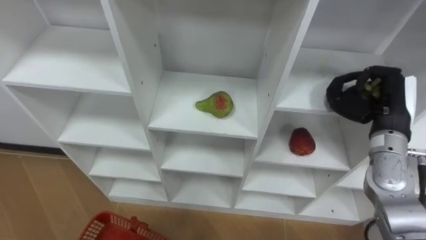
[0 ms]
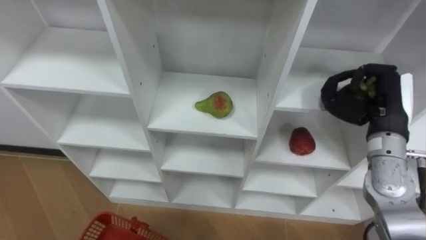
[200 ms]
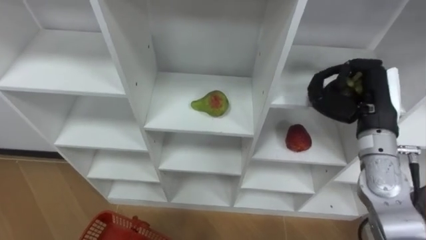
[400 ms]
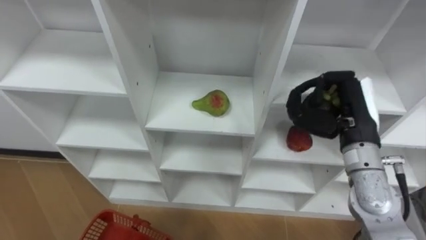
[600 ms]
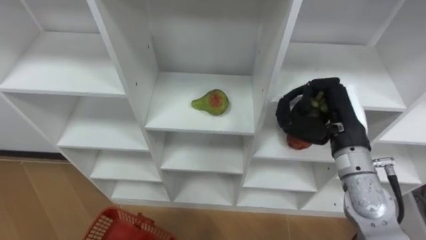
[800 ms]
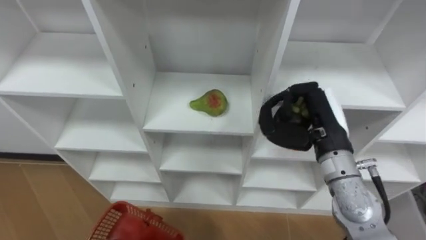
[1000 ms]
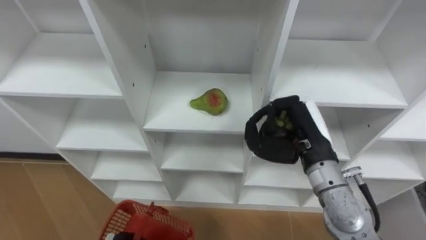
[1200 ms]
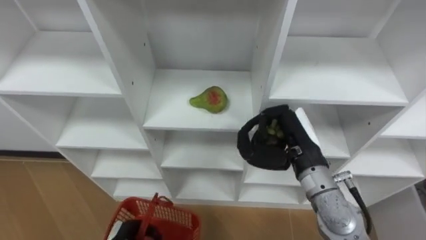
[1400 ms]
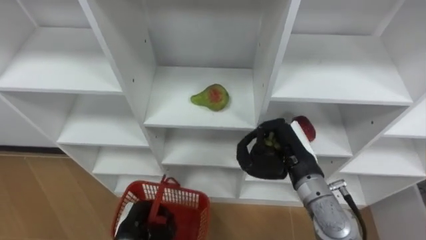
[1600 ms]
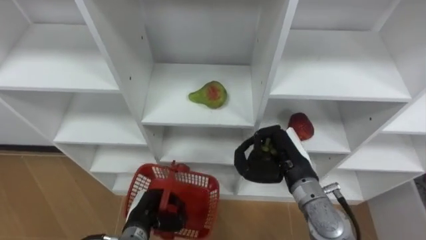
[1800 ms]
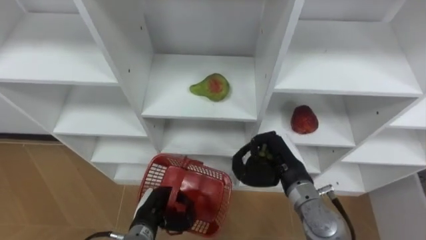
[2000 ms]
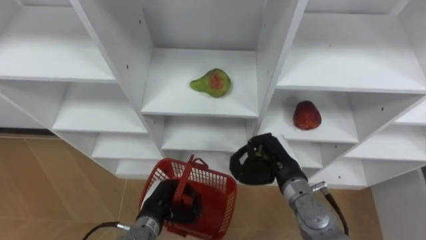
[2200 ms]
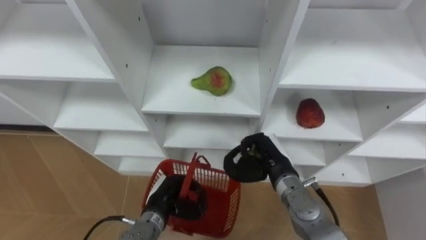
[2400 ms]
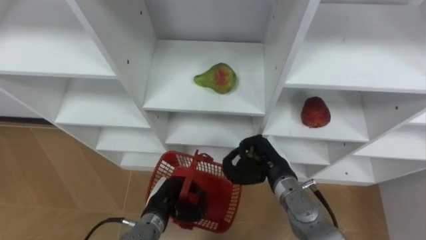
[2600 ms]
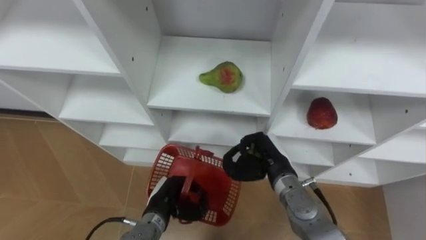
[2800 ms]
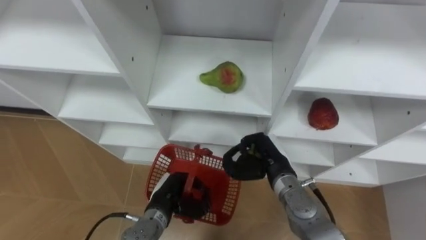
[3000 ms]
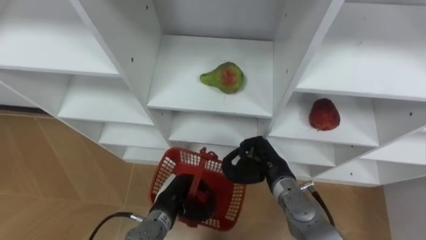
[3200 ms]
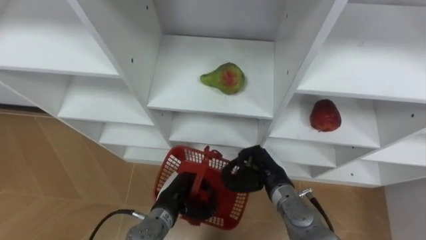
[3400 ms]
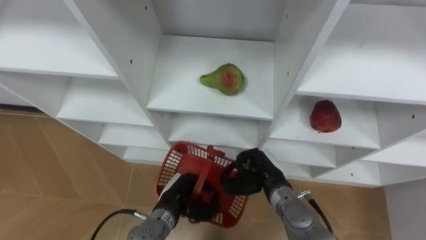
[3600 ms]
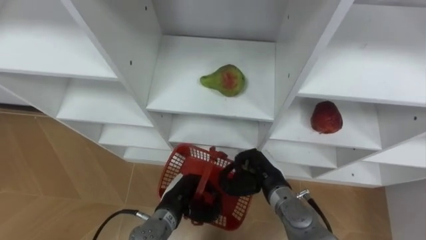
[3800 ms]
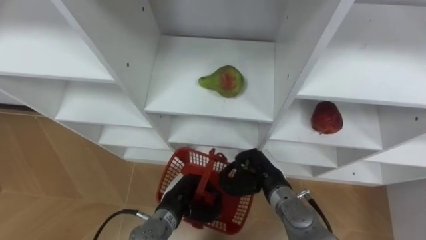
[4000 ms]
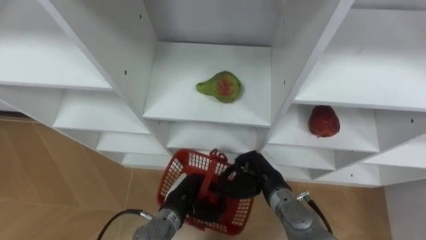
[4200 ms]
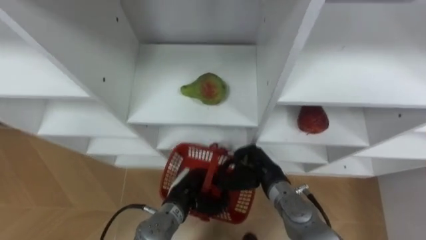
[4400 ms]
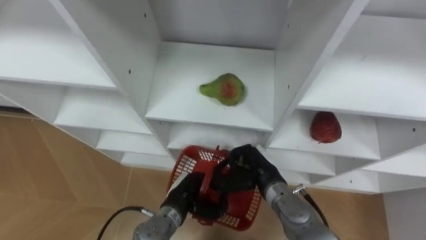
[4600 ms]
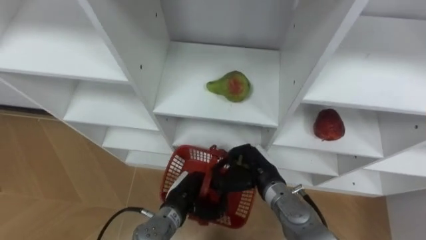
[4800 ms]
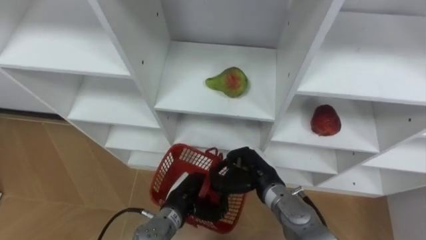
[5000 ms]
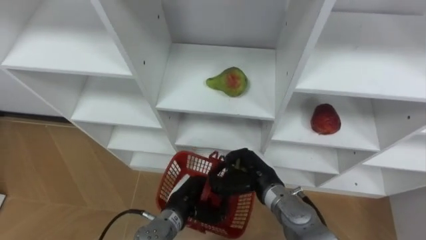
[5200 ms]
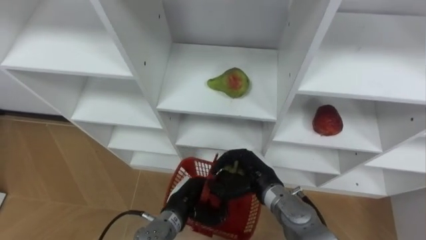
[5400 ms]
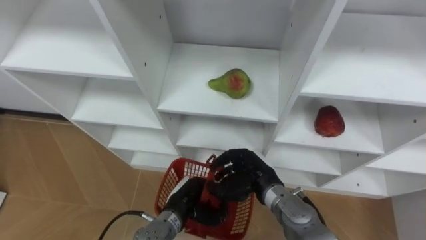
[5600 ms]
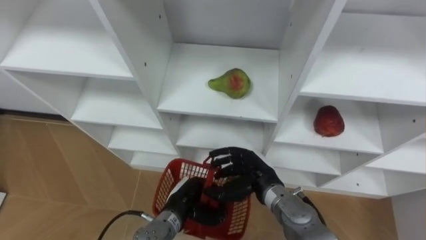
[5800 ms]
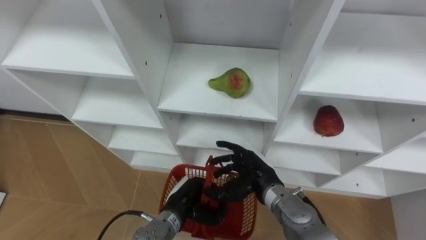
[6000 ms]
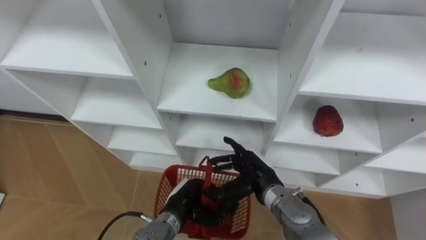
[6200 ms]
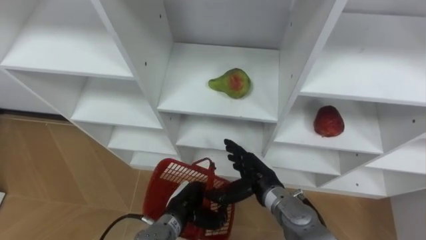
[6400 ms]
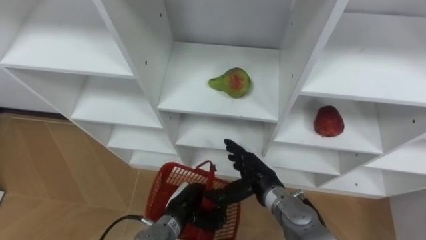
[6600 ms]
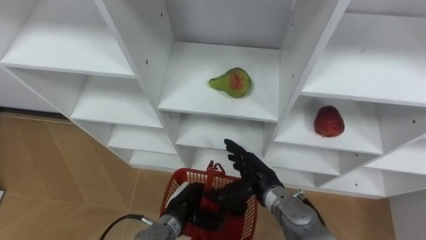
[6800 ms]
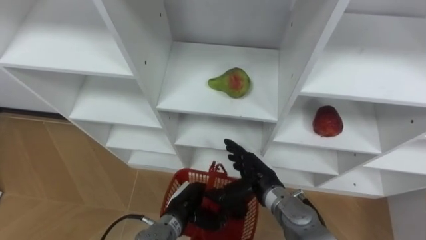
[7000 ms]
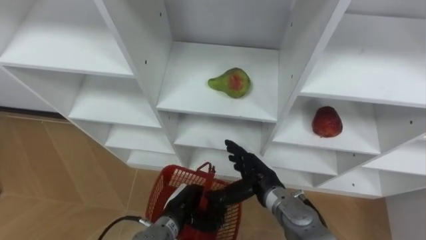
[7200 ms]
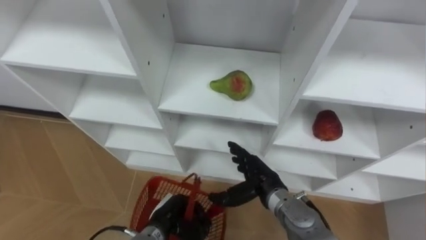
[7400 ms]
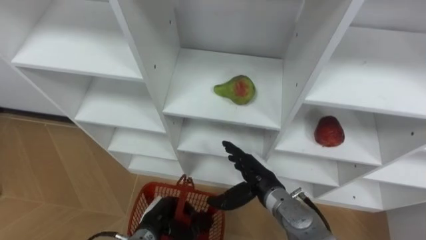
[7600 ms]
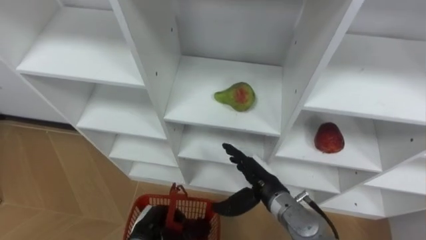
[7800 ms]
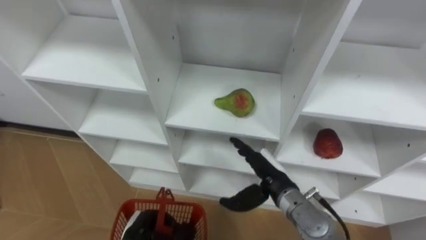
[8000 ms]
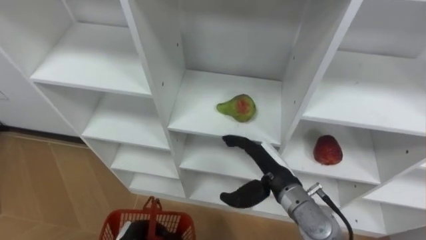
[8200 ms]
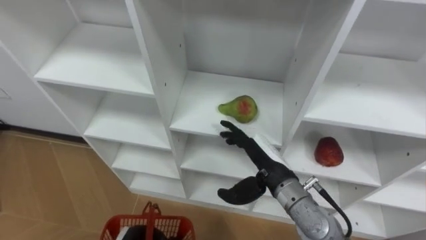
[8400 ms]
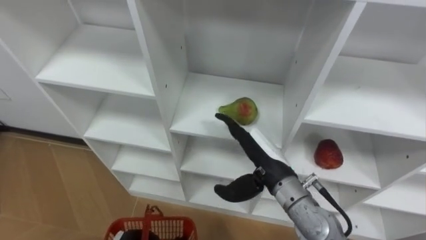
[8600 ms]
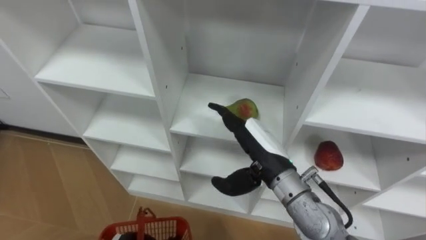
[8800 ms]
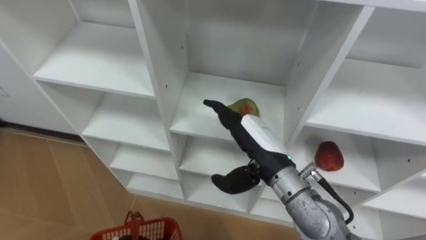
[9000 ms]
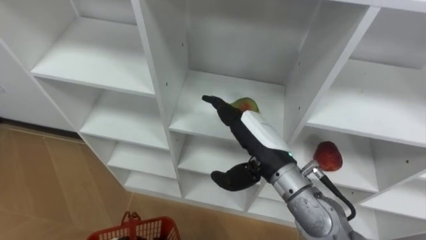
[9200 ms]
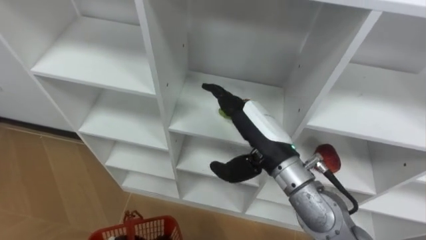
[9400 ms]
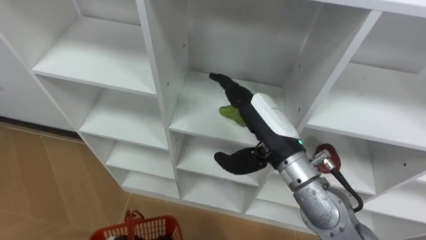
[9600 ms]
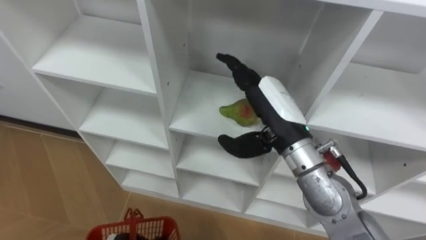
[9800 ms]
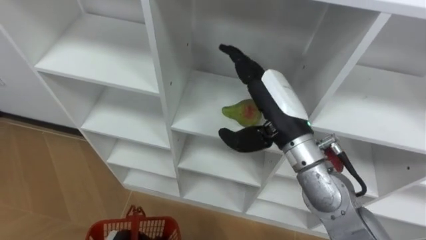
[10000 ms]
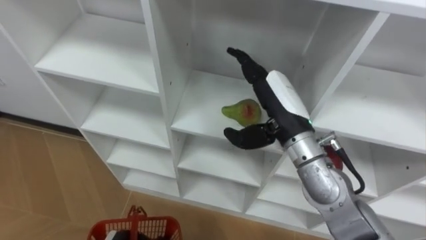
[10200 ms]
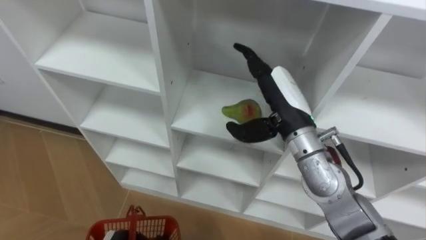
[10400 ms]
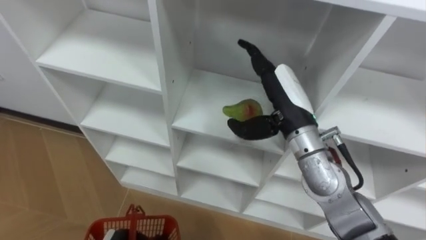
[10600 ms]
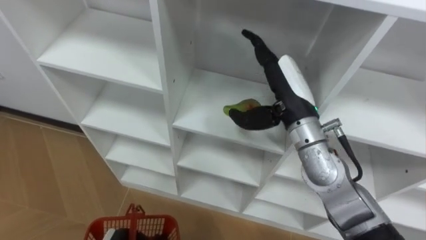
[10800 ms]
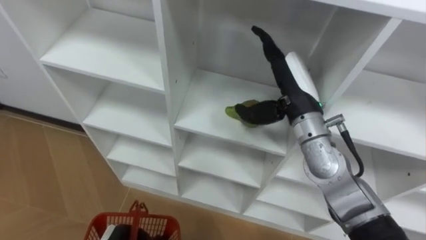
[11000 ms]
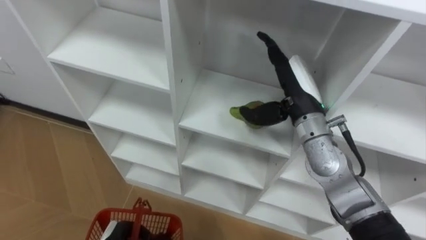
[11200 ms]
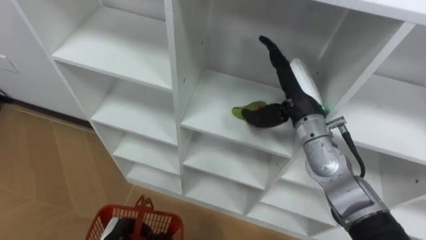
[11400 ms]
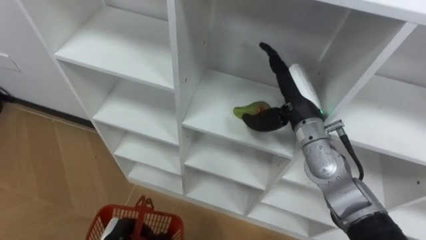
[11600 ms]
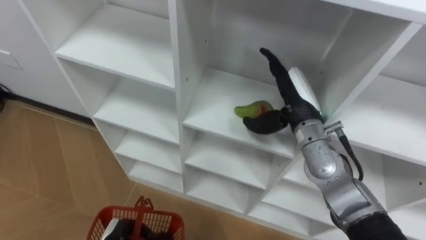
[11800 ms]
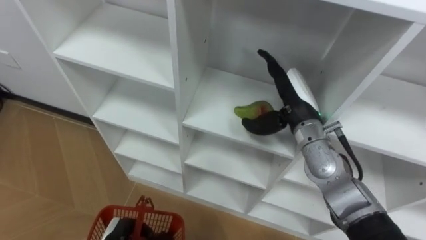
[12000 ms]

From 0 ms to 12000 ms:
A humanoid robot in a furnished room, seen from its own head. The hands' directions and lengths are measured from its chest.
Task of the whole recording: Hold the basket and collect the fruits from 3 different cells of the closet into it.
From 0 ms to 1600 ms: The right hand shifts approximately 15 cm to the left and downward.
From 1600 ms to 3000 ms: The left hand travels to the right and forward by approximately 10 cm; the right hand heads downward, covering some 5 cm.
From 4400 ms to 6000 ms: The right hand opens up.
From 6000 ms to 7600 ms: The left hand shifts approximately 5 cm to the left.
From 7600 ms to 9000 ms: The right hand heads upward, covering roughly 15 cm.
From 9000 ms to 10400 ms: The right hand heads forward, covering about 5 cm.
From 10400 ms to 12000 ms: The right hand shifts by roughly 5 cm.

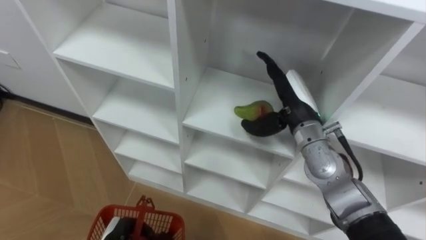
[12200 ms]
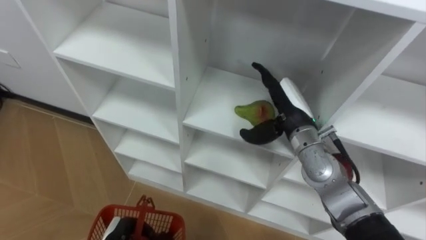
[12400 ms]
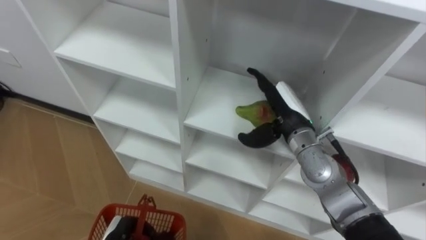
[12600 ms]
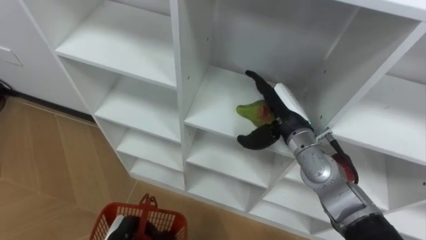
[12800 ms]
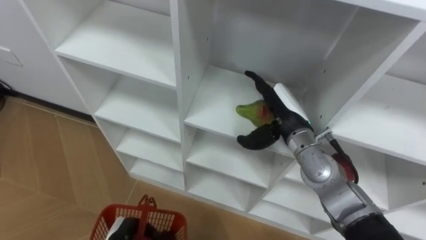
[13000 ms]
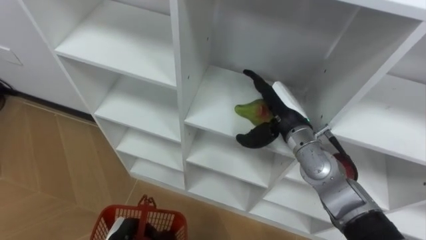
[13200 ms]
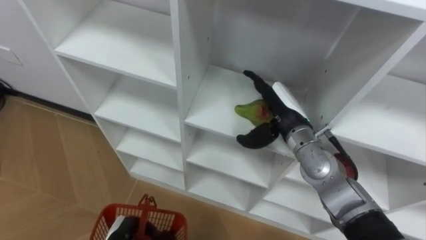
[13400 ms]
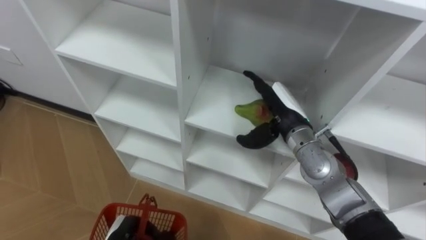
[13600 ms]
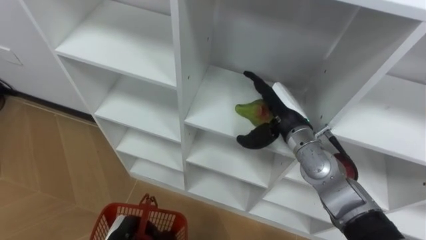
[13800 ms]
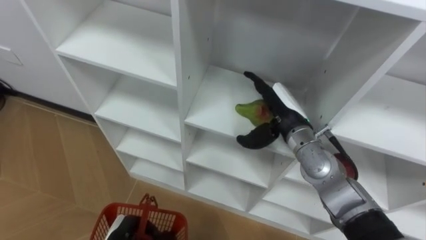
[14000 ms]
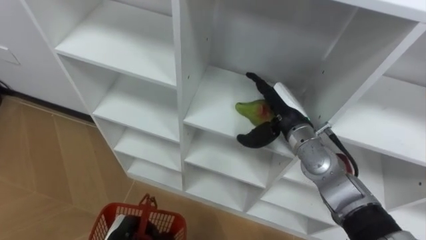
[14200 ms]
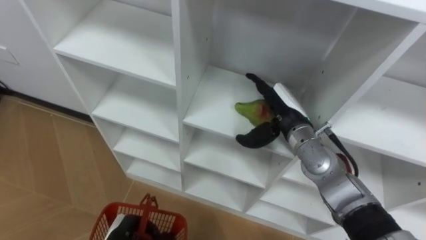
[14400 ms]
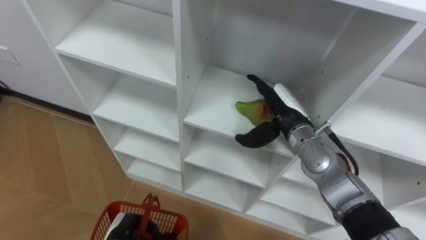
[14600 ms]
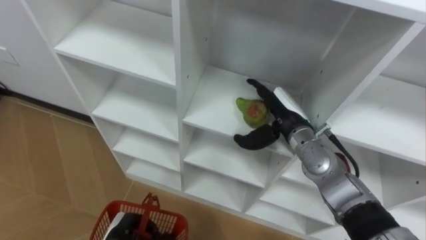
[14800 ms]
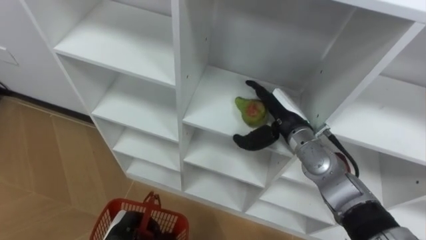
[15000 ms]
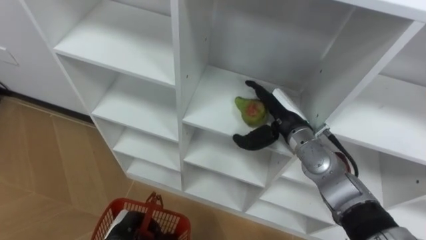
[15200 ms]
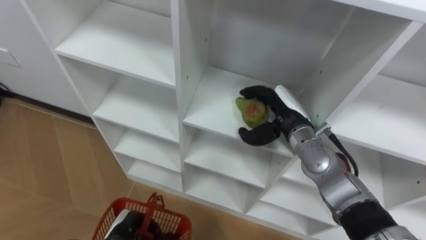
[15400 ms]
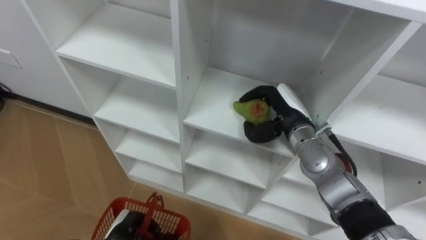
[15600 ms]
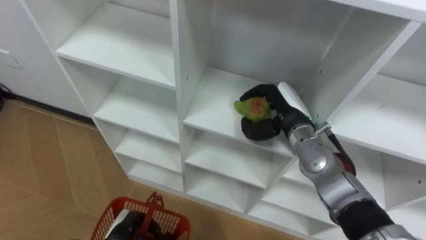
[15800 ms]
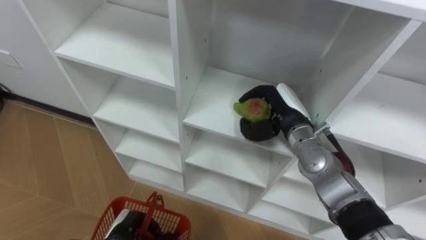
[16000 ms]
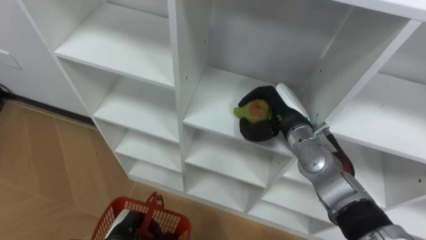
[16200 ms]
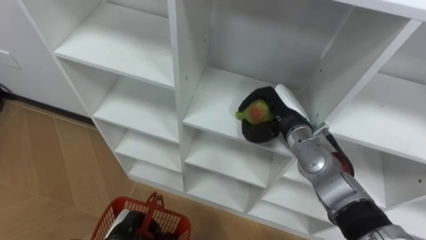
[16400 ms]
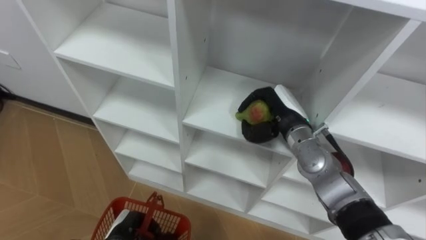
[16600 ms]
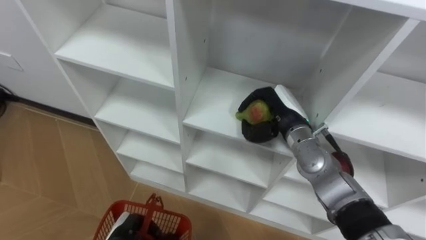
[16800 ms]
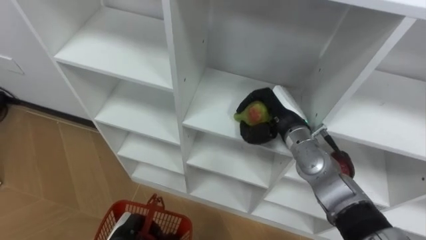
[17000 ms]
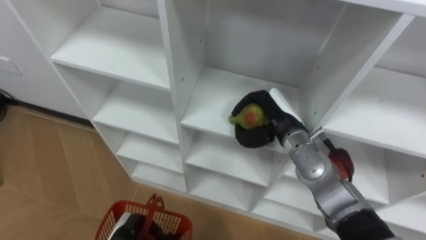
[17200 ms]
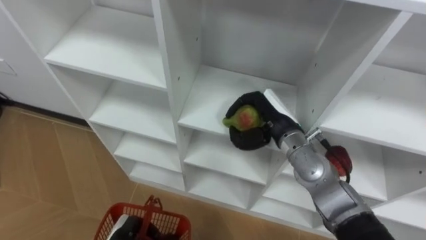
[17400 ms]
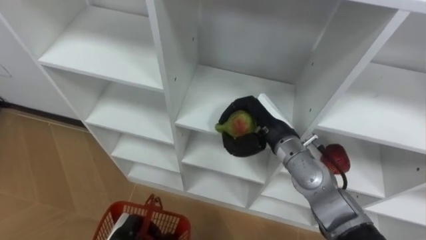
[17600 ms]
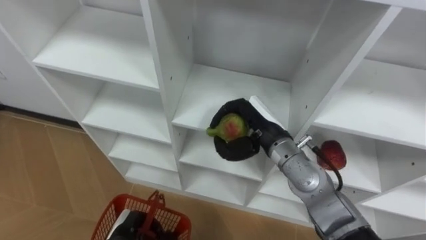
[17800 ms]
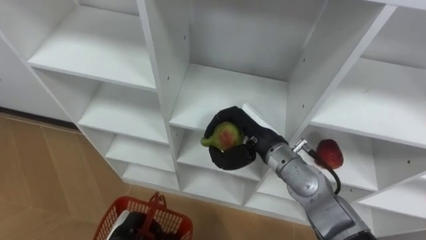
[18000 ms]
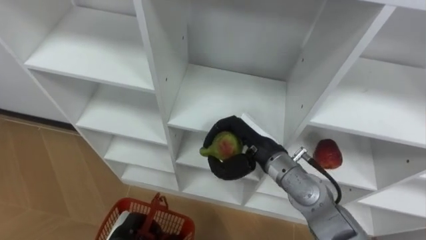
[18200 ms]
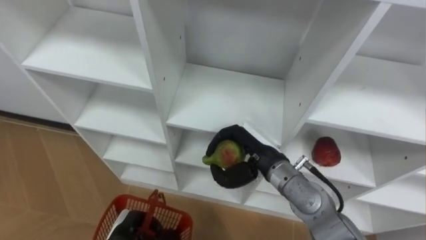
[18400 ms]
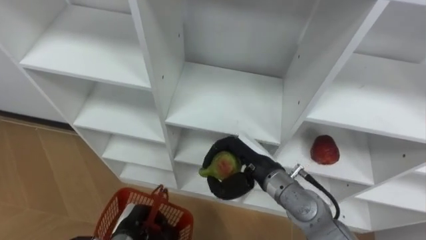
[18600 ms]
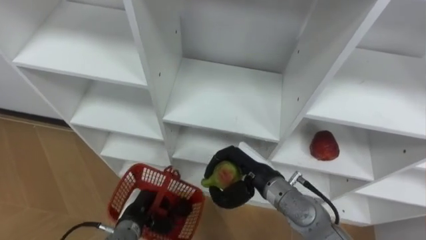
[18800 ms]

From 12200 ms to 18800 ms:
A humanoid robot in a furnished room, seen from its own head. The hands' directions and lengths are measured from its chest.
Task of the whole recording: Hold the basket and collect the fruits from 3 different cells of the closet into it.
From 12200 ms to 15400 ms: The hands stay close to where they were, moving slightly.
From 15400 ms to 17200 ms: The right hand closes.
From 17200 ms to 18800 ms: The right hand is displaced backward and downward by some 10 cm.
